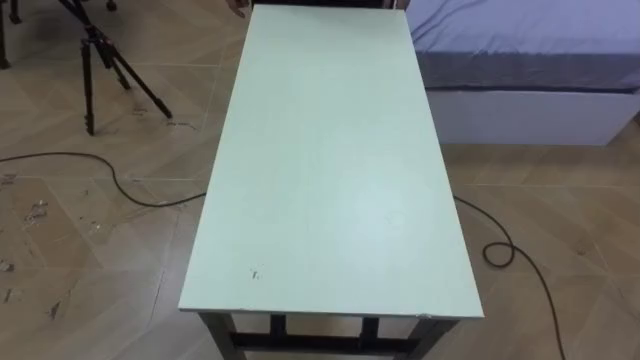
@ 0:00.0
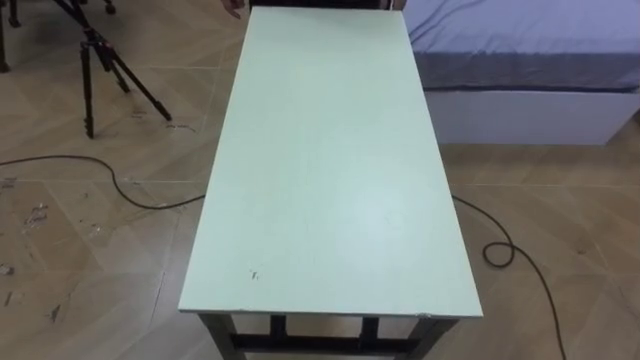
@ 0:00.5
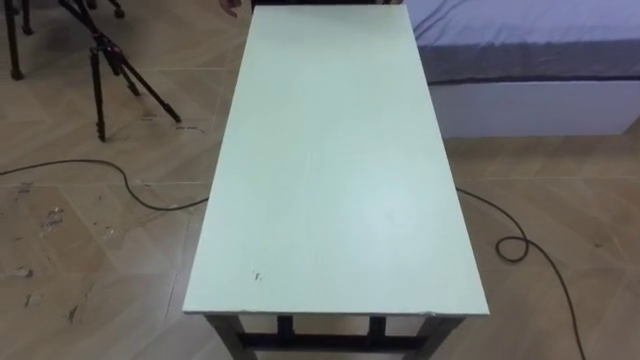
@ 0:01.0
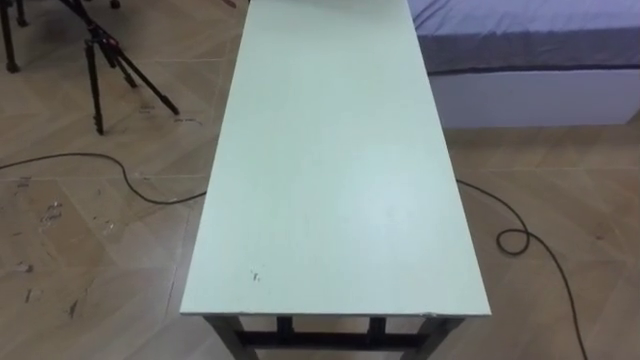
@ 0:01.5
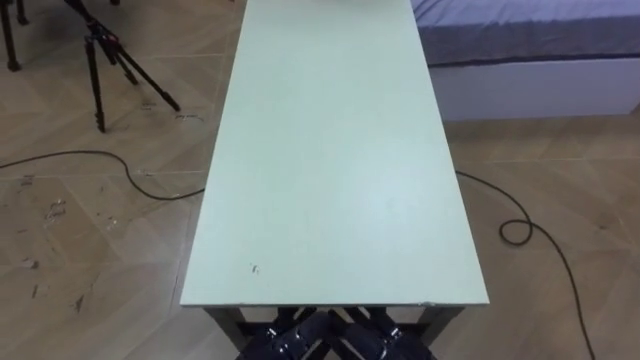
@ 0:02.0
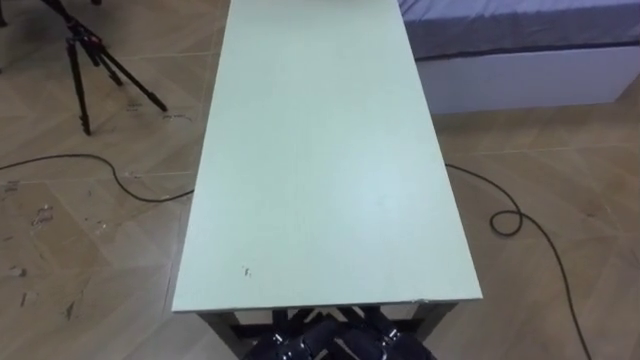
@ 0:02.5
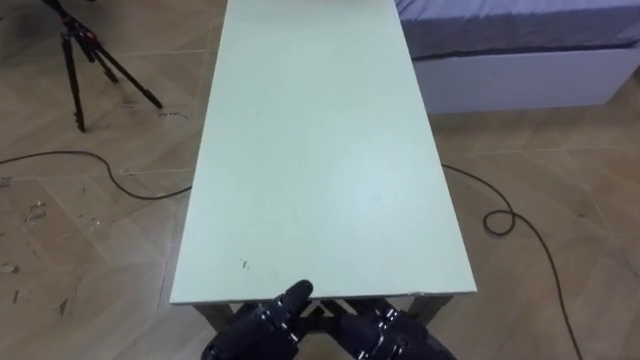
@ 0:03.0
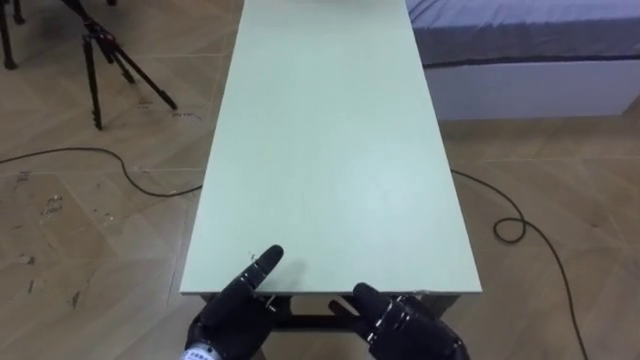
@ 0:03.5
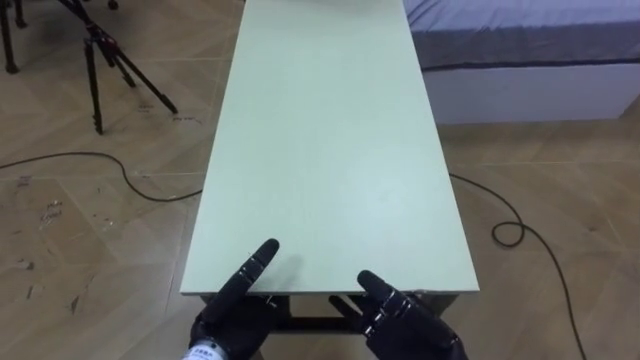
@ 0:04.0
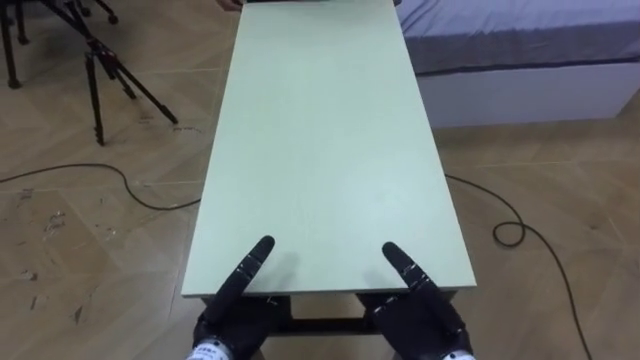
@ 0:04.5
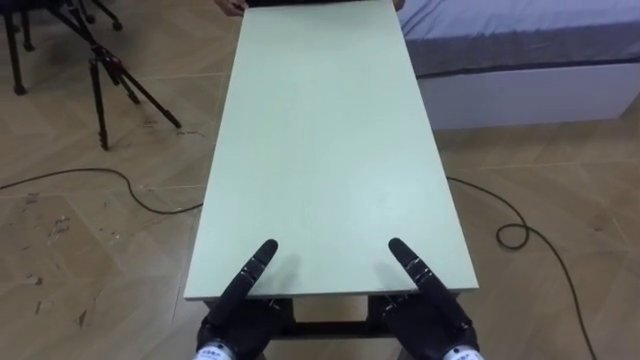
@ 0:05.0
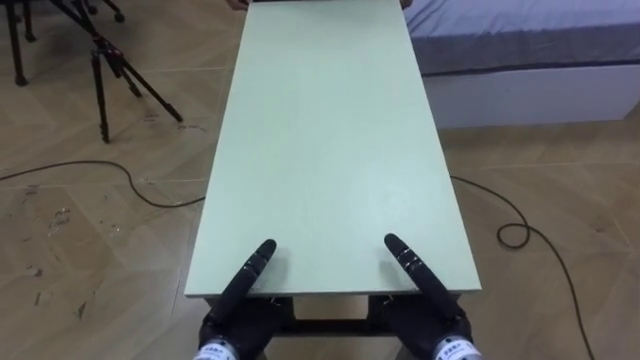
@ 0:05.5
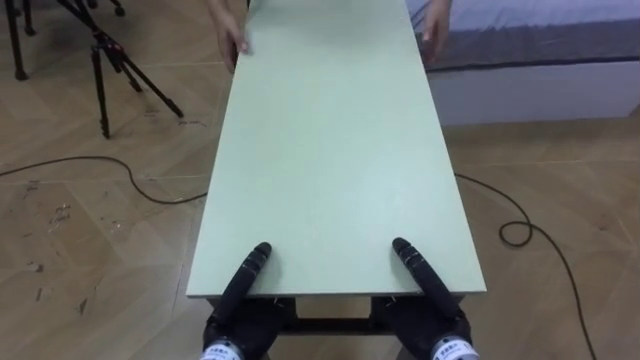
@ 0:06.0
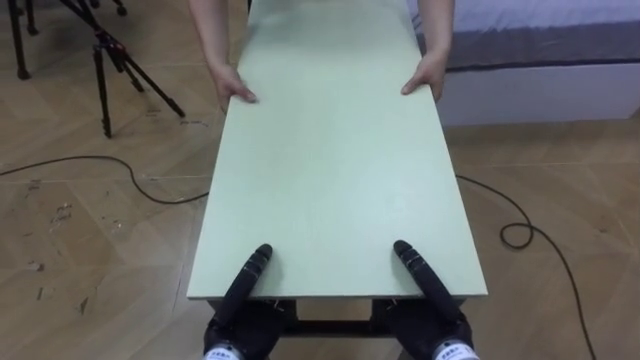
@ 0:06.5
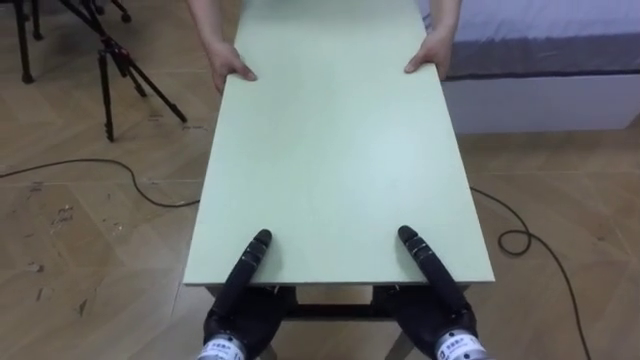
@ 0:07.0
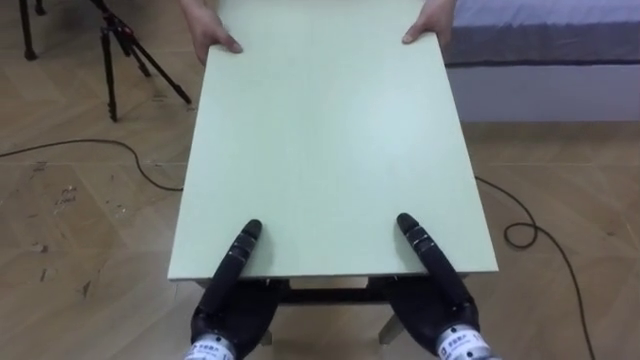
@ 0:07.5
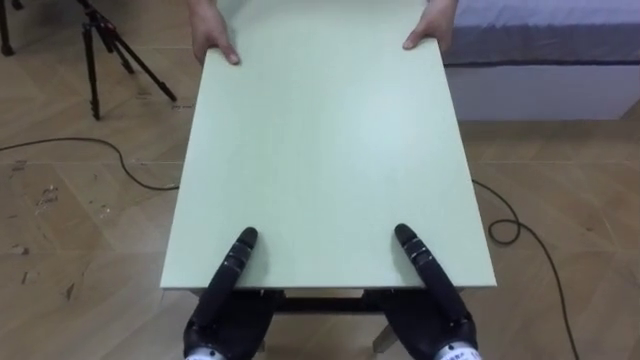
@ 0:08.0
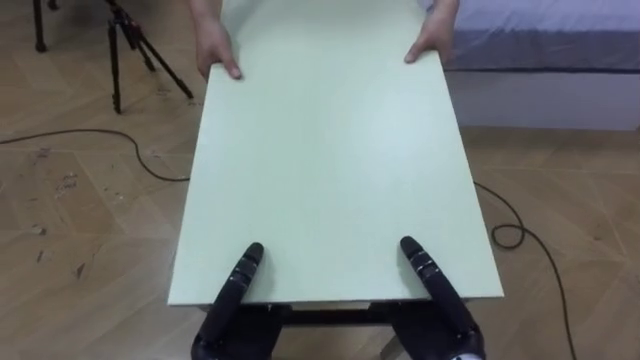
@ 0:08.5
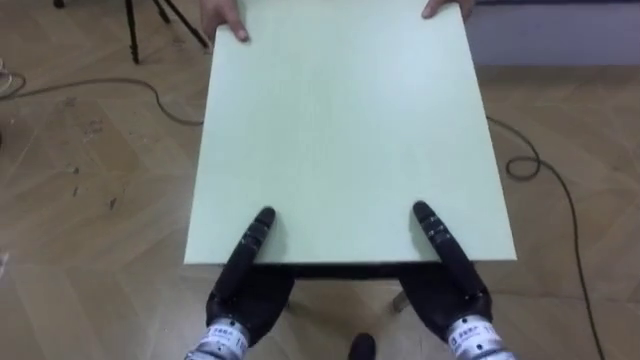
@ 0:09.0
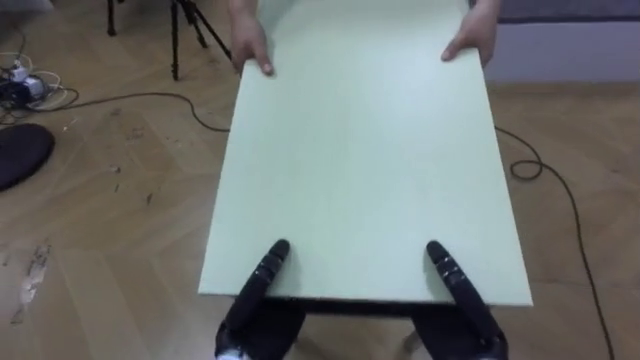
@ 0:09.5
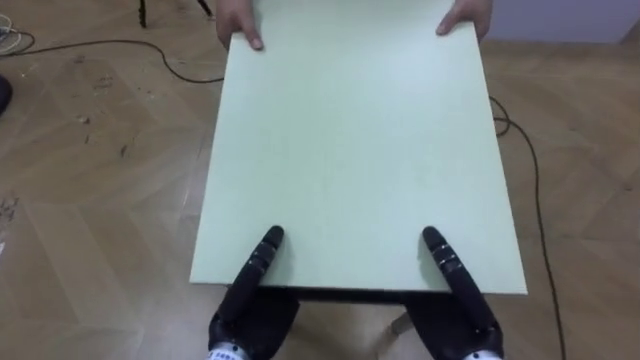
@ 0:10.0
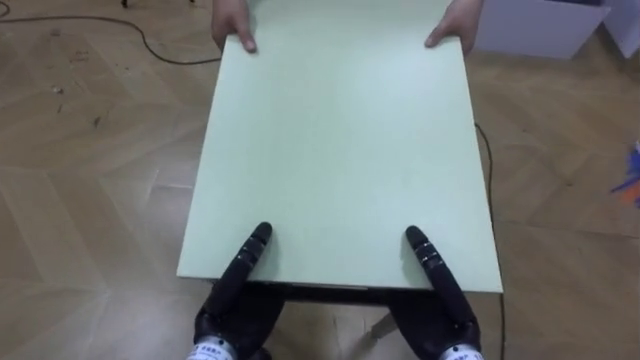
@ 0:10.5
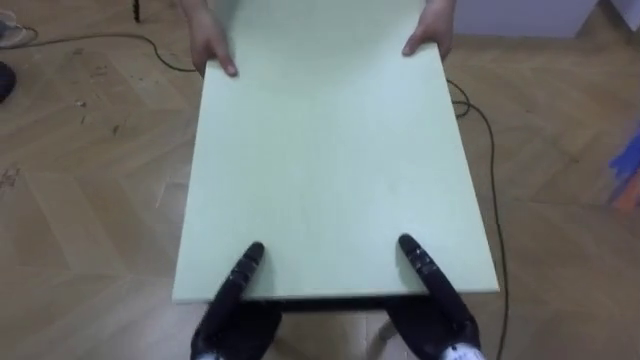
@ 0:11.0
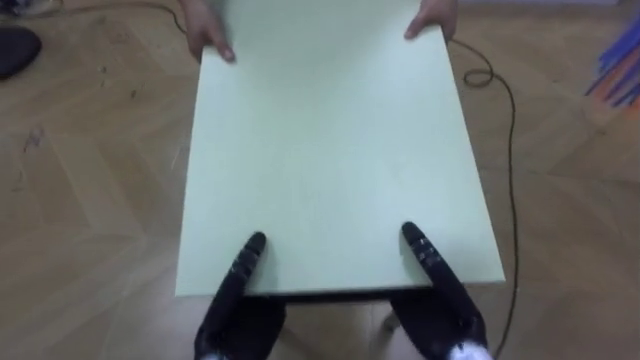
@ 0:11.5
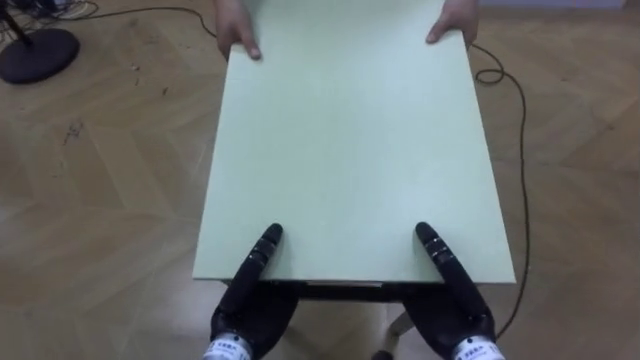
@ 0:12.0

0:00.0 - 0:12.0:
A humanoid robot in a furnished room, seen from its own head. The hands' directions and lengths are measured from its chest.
Task of the whole recording: Move the table to the back left with someone.
0:04.0 - 0:06.0: The left hand closes its fingers; the right hand closes.

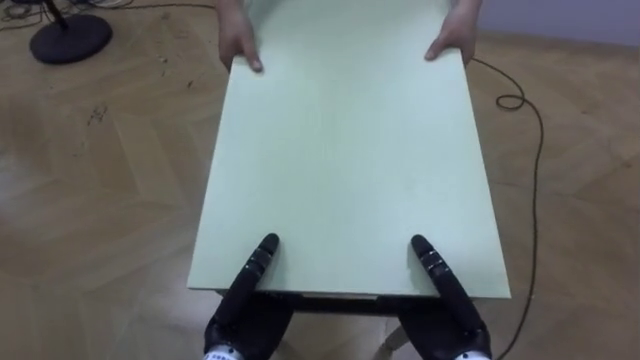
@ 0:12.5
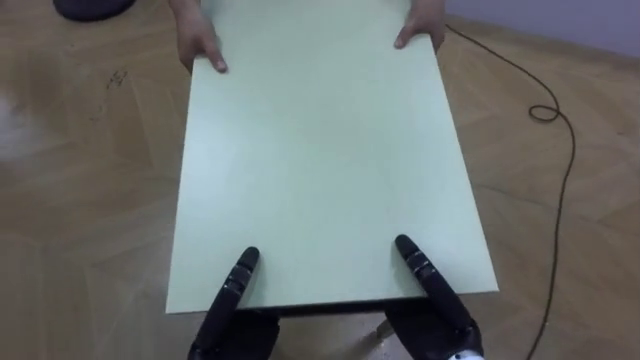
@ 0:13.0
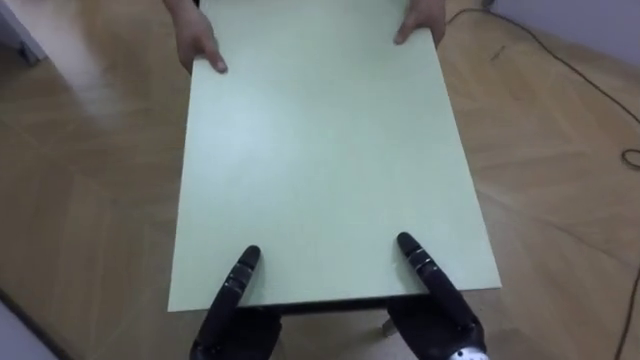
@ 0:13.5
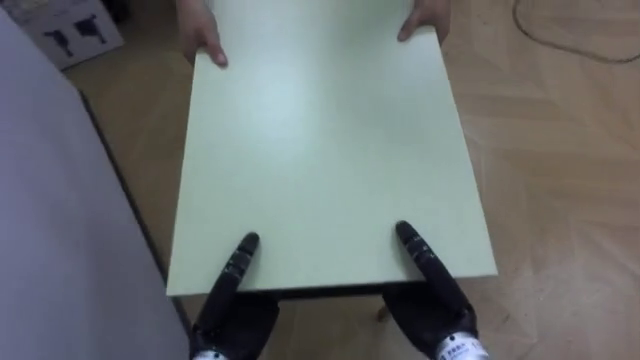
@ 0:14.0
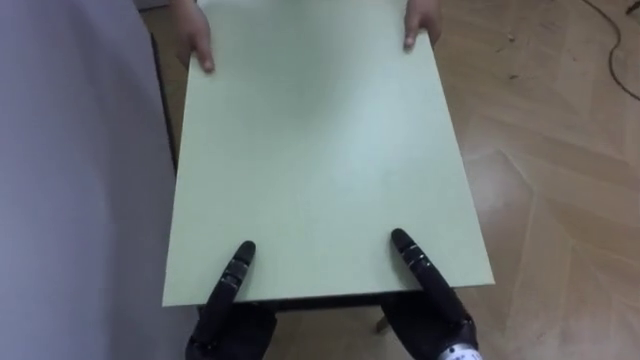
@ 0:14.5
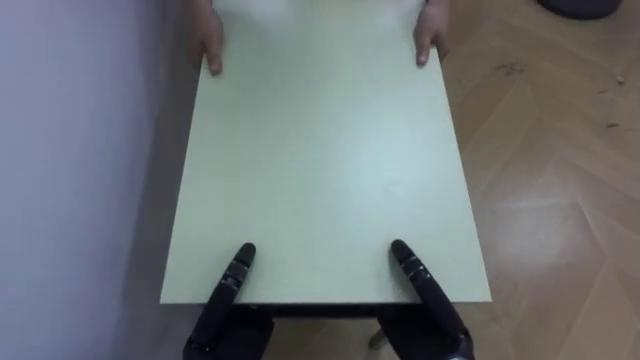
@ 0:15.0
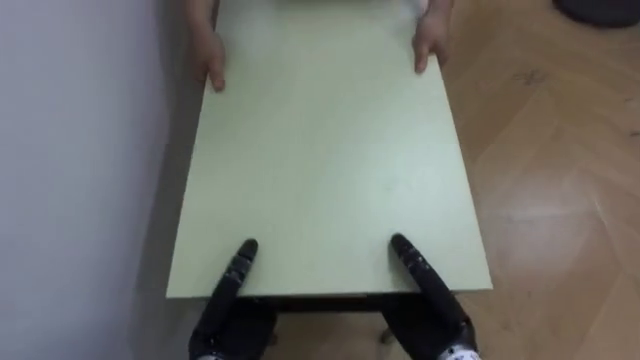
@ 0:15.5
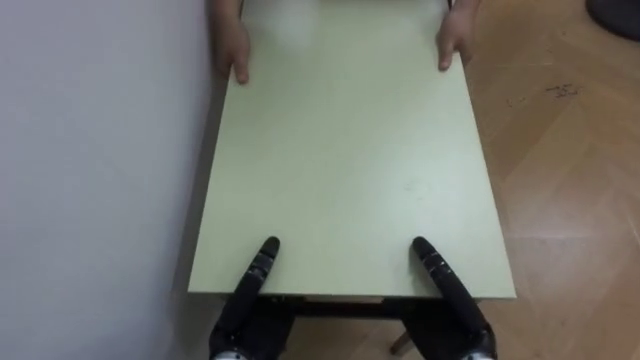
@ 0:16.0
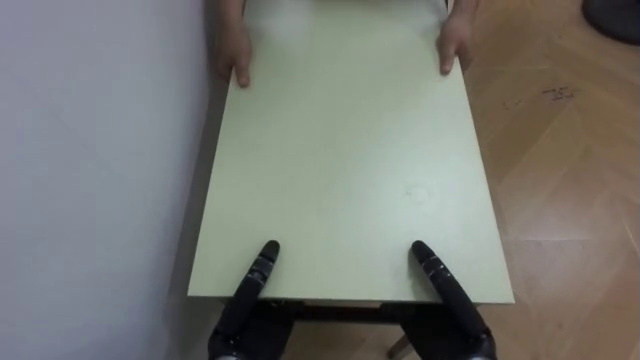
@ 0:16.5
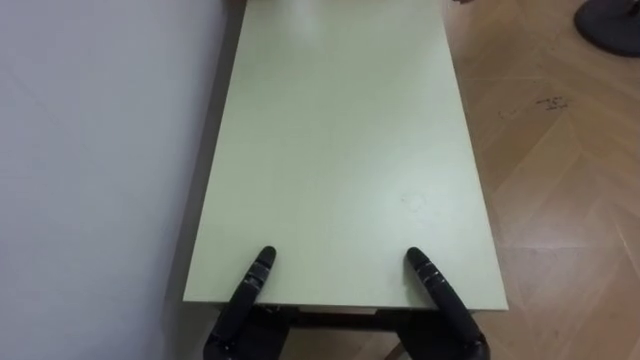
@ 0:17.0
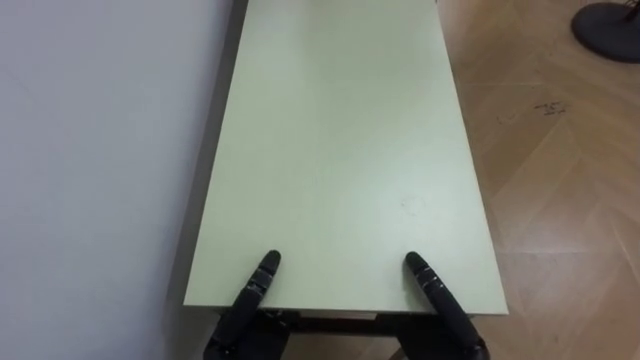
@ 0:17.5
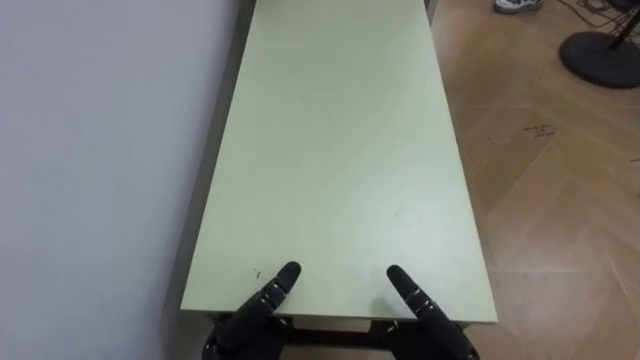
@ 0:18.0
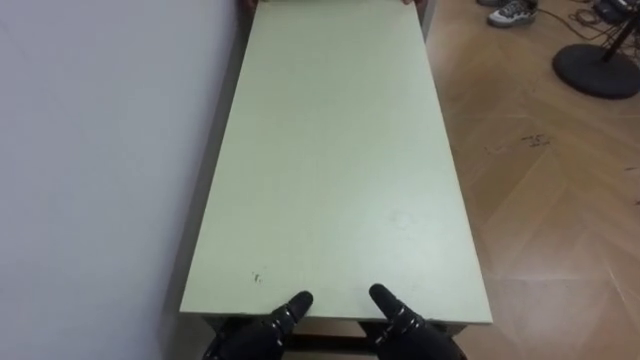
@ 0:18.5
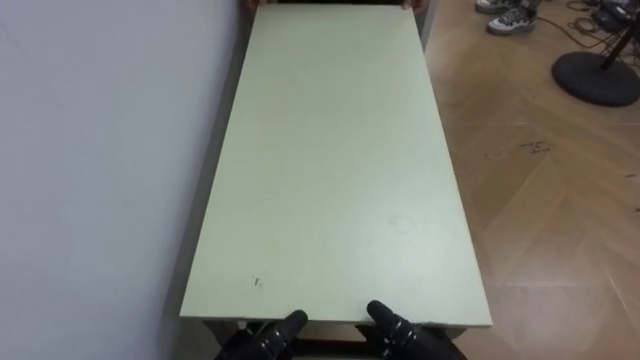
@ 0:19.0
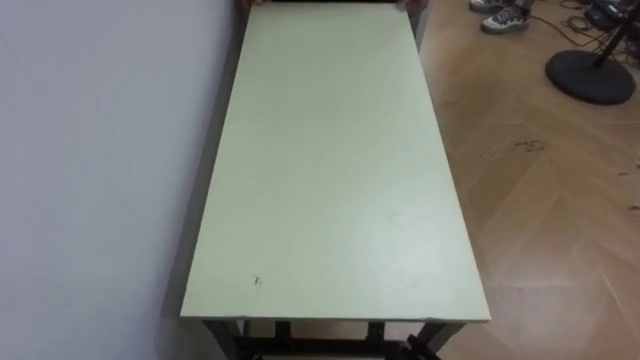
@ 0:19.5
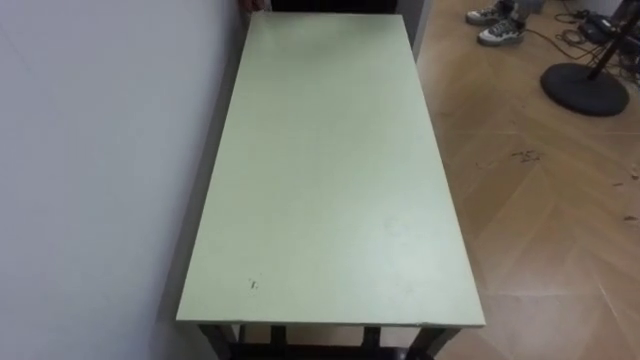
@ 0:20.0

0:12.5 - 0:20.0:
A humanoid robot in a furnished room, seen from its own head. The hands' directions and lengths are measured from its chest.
Task of the whole recording: Move the table to the back left with someone.
0:12.5 - 0:14.5: The robot faces about 50 degrees further to its left.
0:14.5 - 0:16.5: The robot faces roughly 25 degrees further to its left.
0:16.5 - 0:18.0: The left hand opens its fingers. Meanwhile the right hand opens.

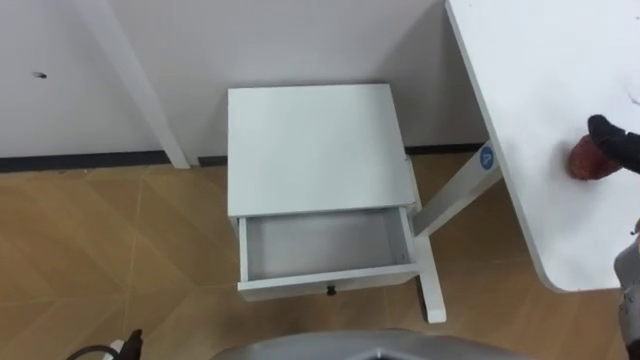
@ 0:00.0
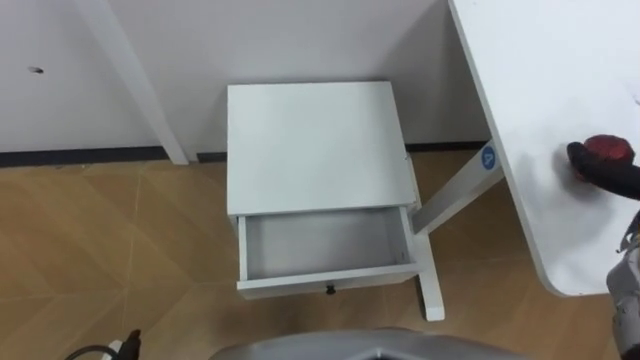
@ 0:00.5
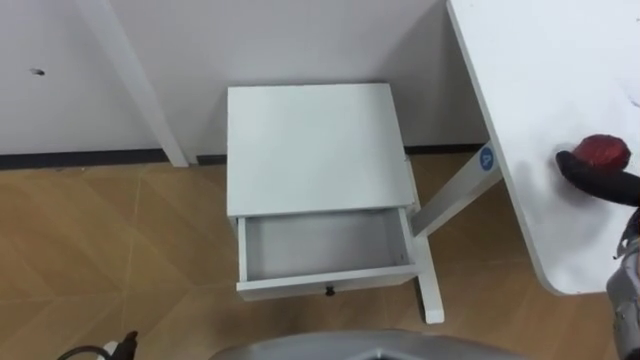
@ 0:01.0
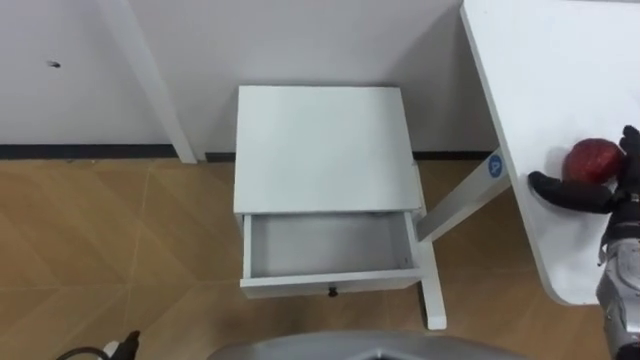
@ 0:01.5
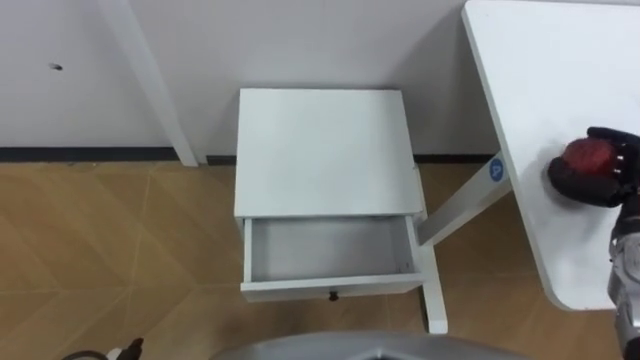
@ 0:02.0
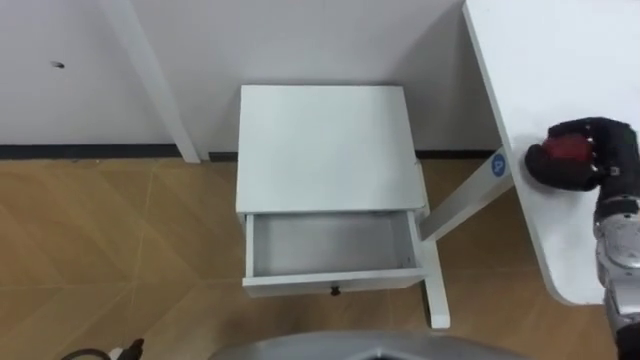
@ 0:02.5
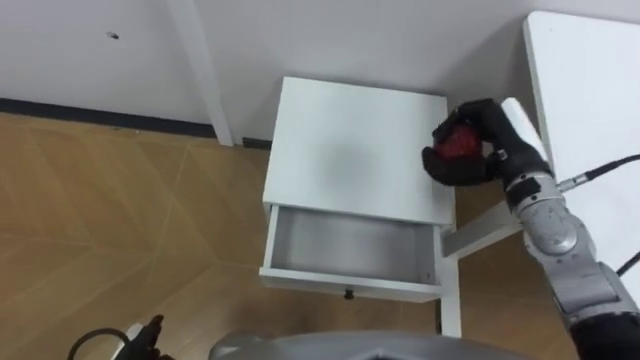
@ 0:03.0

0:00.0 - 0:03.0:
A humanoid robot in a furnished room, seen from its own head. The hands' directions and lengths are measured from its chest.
Task of the whole recording: Pick up the apple from the table, put it in the drawer, and close the drawer with leg.
0:01.5 - 0:03.0: The right hand is displaced to the left and forward by approximately 15 cm, and closes up.
